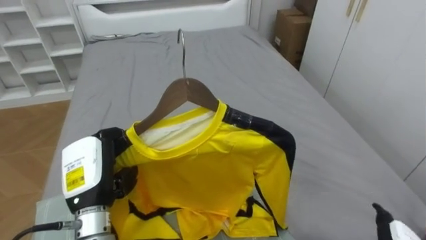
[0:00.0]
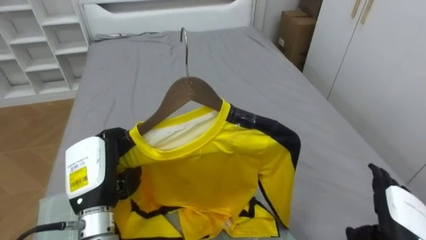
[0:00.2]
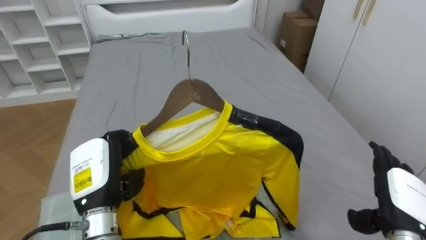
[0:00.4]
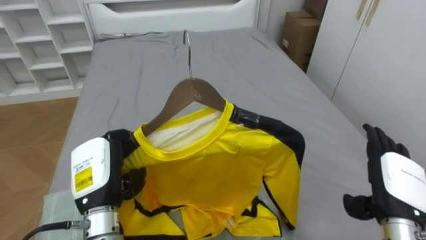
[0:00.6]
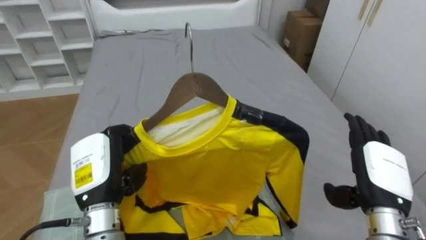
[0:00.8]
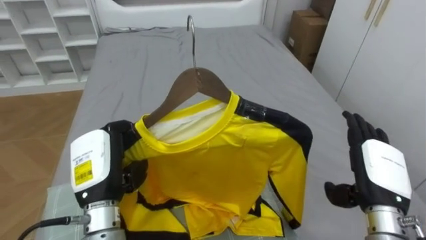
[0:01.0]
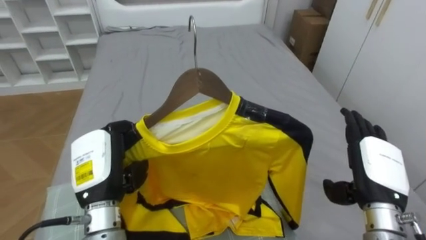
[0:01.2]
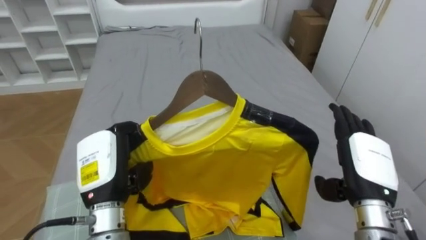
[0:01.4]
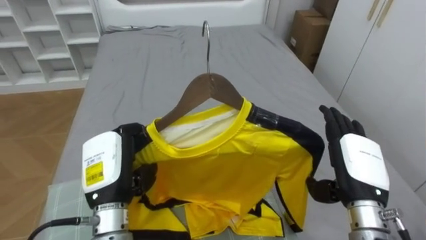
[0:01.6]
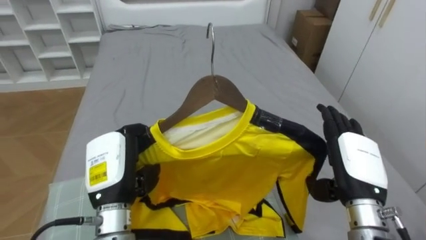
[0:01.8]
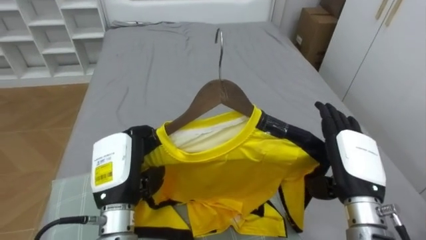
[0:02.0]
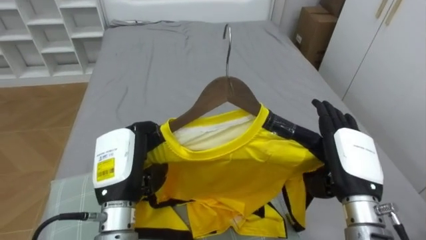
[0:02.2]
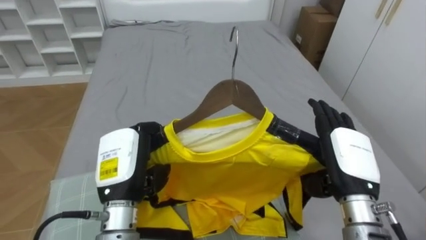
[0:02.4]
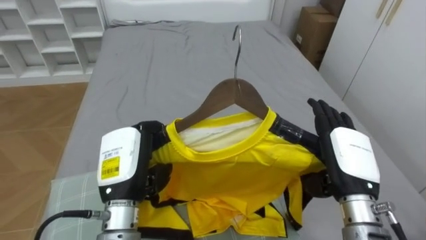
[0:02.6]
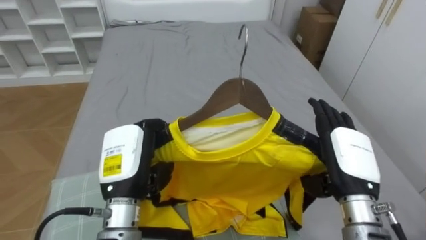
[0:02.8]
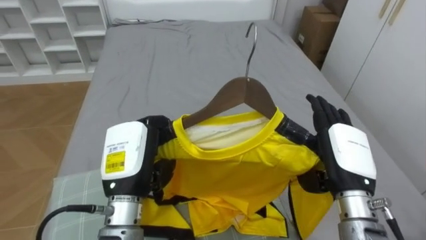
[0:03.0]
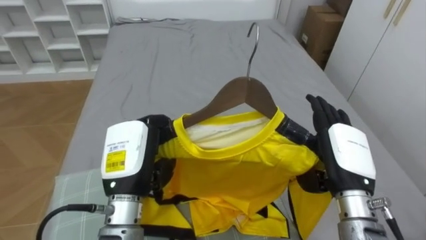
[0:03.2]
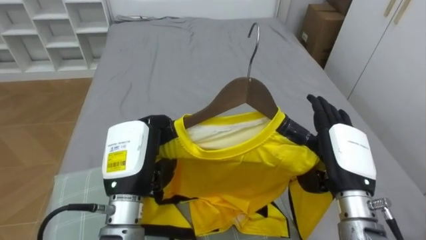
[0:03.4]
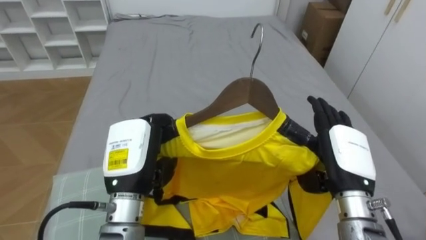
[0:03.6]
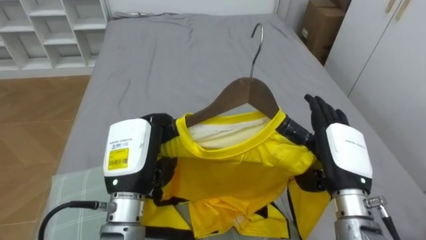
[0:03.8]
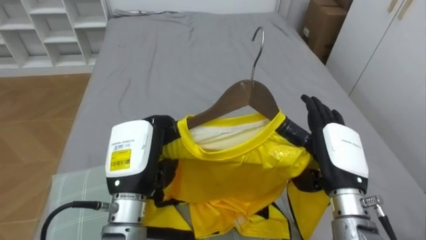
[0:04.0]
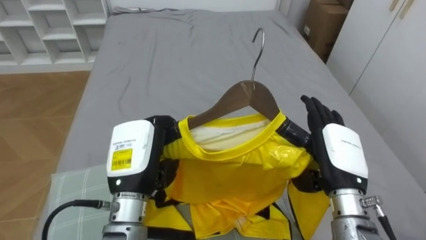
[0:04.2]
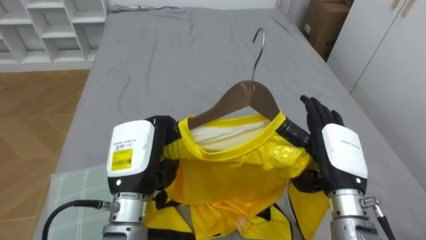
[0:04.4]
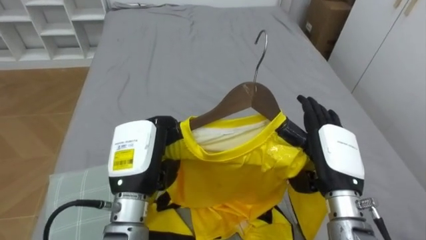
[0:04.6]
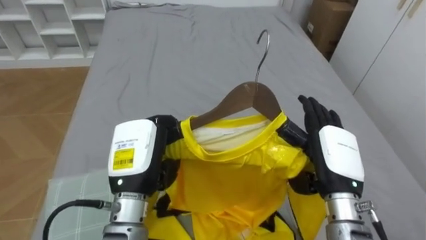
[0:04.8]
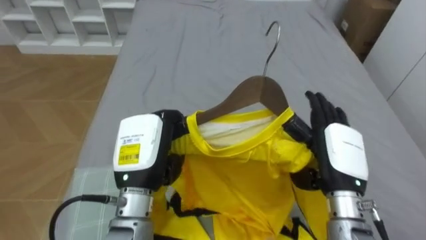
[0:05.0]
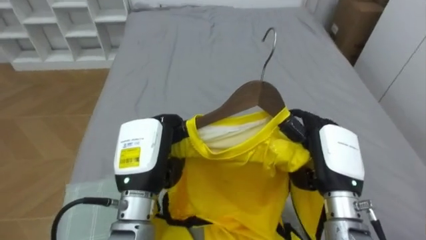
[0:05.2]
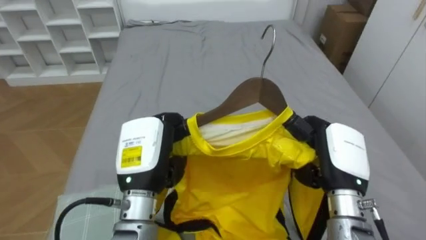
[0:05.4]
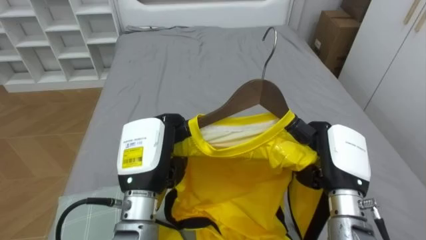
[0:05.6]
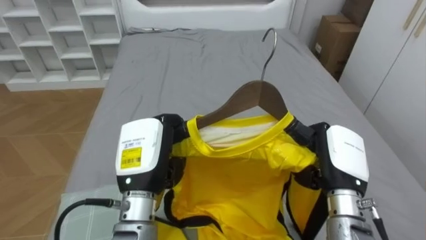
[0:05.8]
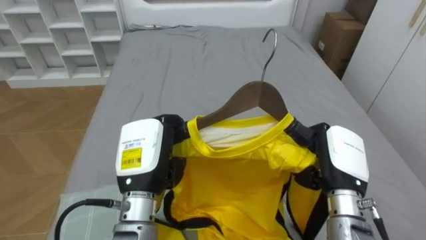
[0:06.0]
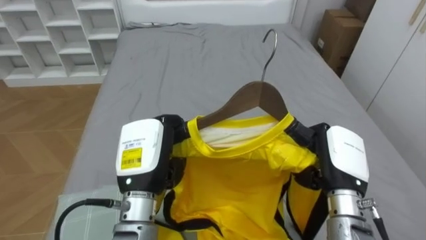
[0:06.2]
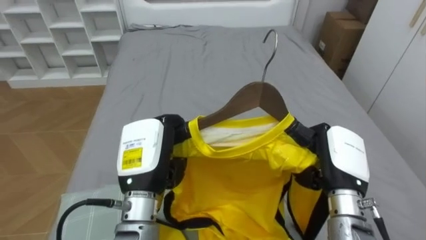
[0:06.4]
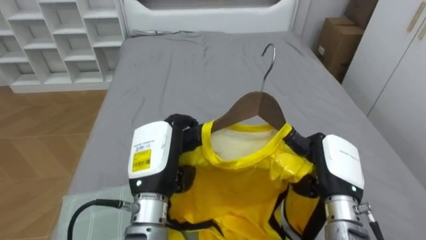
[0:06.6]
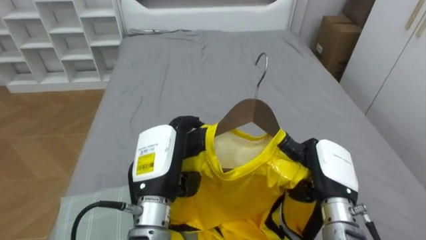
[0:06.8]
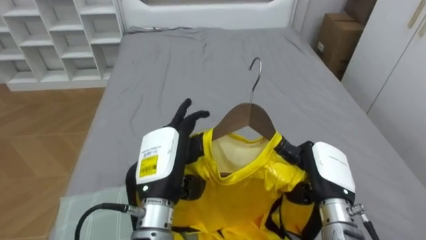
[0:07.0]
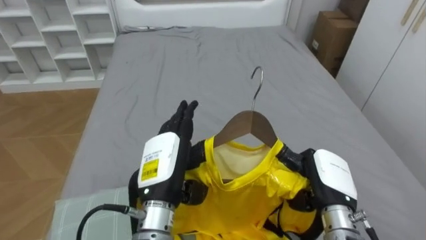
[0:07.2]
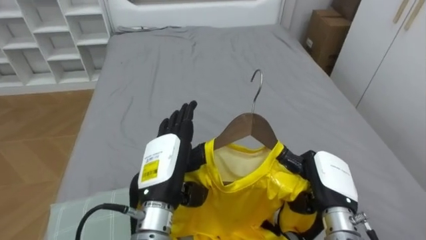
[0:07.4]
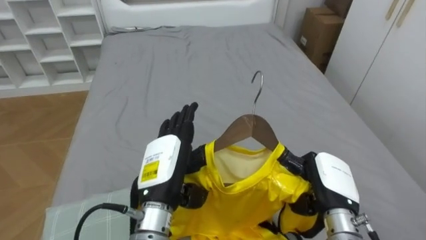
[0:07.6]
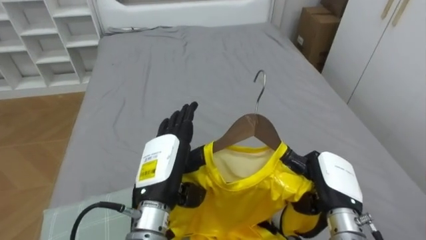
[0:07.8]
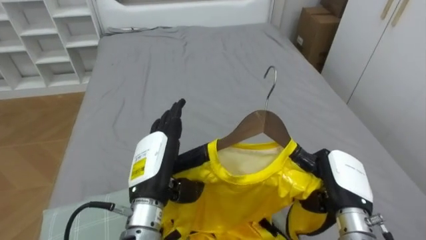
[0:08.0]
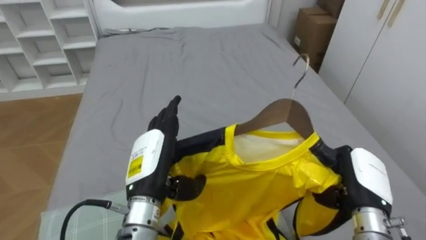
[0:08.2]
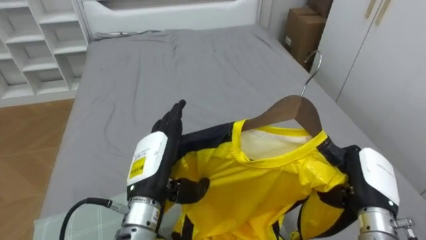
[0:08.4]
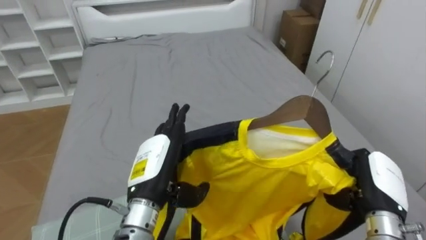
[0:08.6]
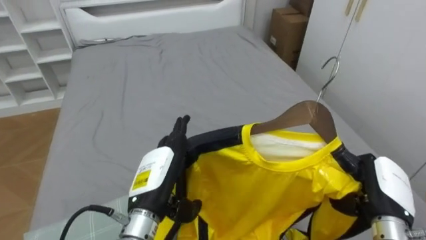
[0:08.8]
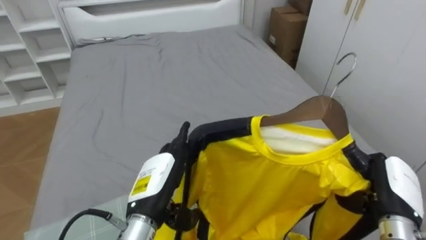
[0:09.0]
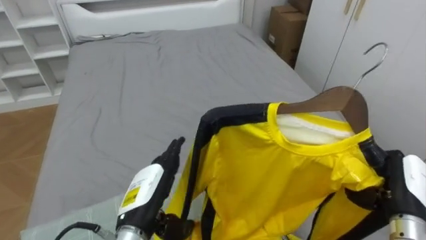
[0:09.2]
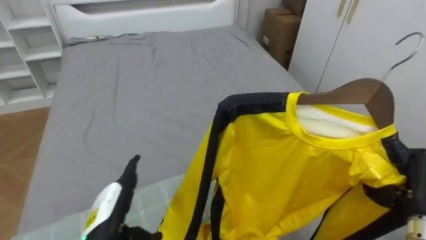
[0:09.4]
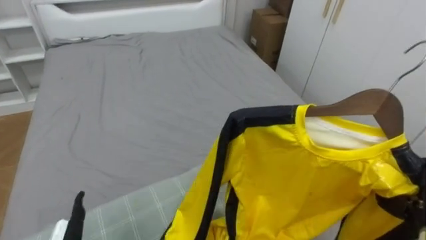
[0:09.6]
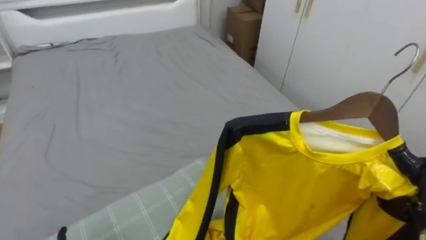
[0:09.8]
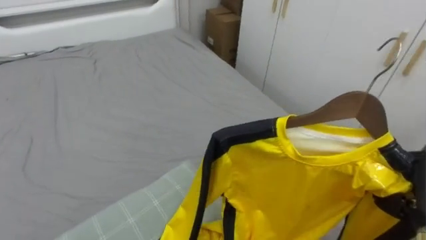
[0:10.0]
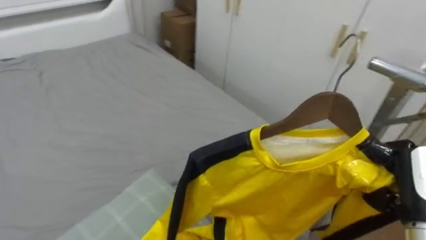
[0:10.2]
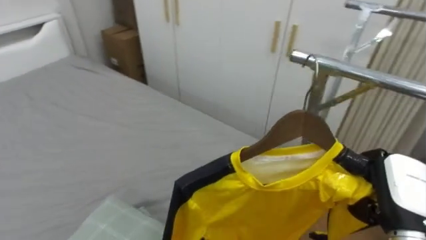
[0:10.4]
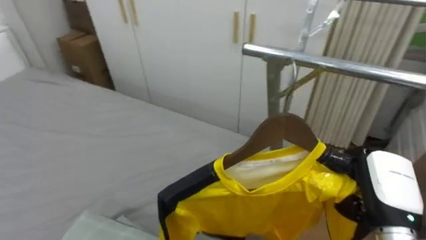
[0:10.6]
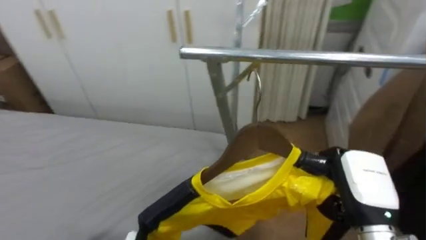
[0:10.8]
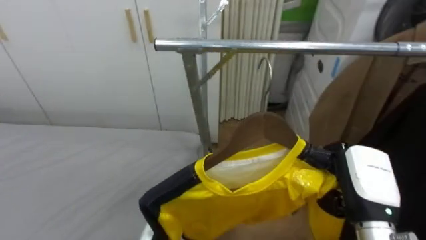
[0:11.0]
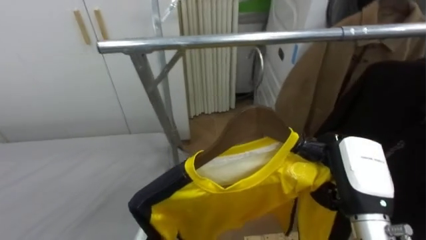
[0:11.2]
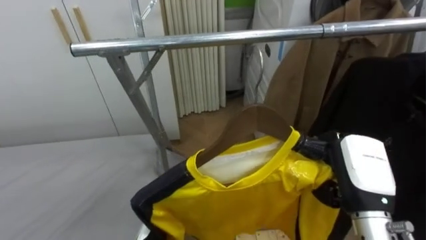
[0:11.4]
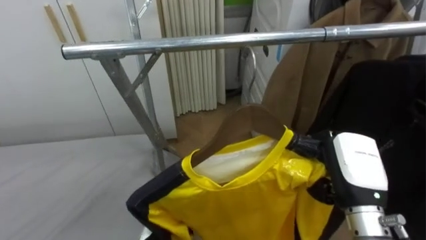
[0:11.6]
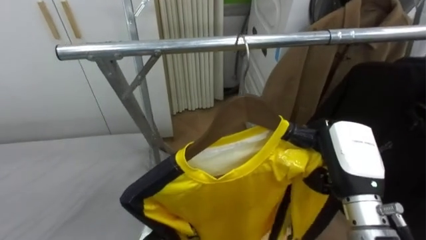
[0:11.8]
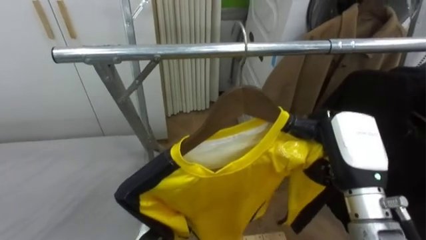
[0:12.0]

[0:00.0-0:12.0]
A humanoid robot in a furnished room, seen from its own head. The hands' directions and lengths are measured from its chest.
Task of the whole recording: Pick up the yellow shirt on the bed and hang it on the clothes rack on the right.
0:04.4 to 0:06.0: The right hand closes.
0:06.0 to 0:07.6: The left hand opens its fingers, while the right hand is displaced downward by about 5 cm.
0:07.6 to 0:09.0: The right hand heads to the right, covering some 10 cm.
0:09.0 to 0:10.4: The robot turns to its right by approximately 40 degrees. The right hand changes place by about 5 cm.
0:10.4 to 0:12.0: The robot turns to its right by roughly 45 degrees. The right hand moves to the left and upward, roughly 10 cm.

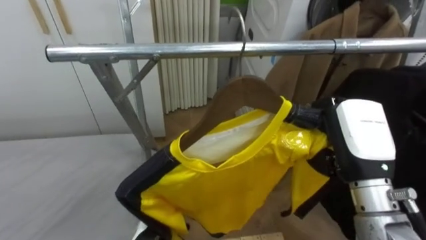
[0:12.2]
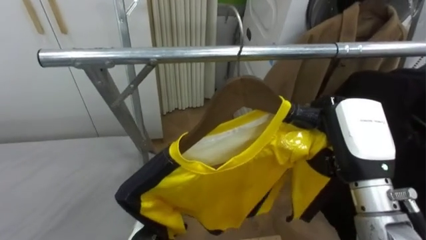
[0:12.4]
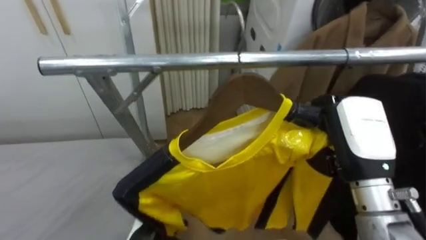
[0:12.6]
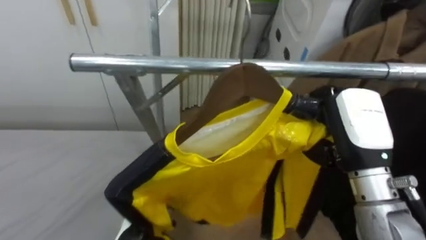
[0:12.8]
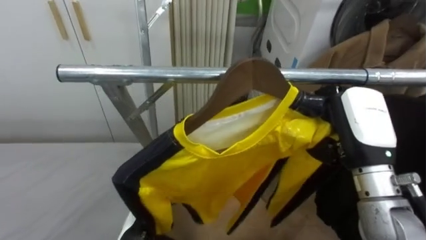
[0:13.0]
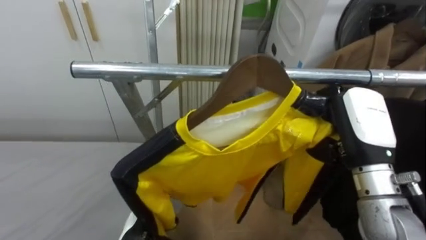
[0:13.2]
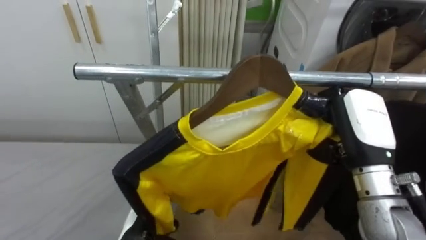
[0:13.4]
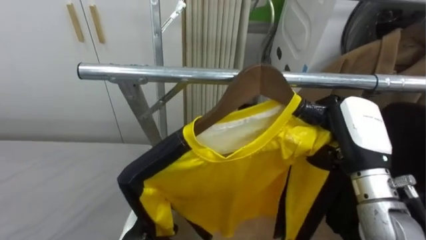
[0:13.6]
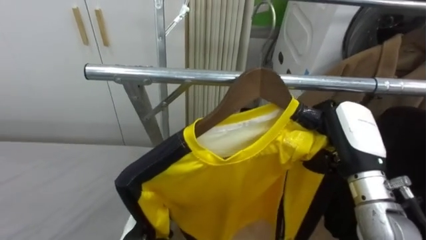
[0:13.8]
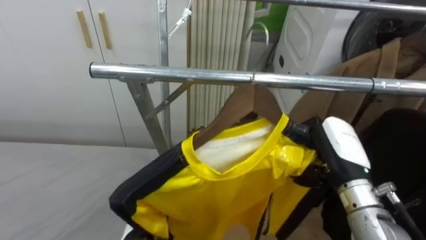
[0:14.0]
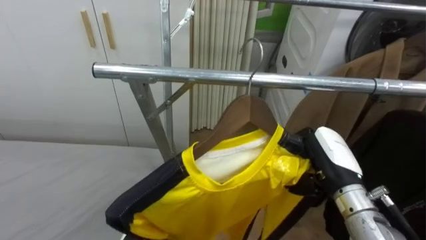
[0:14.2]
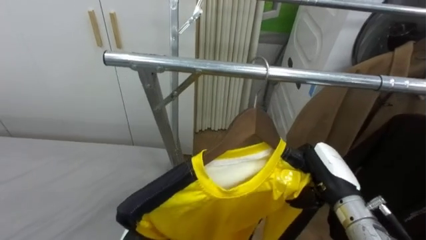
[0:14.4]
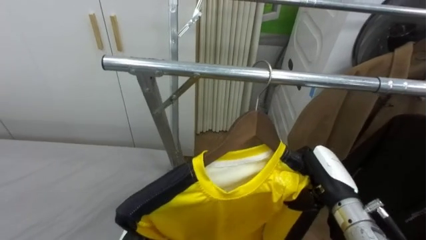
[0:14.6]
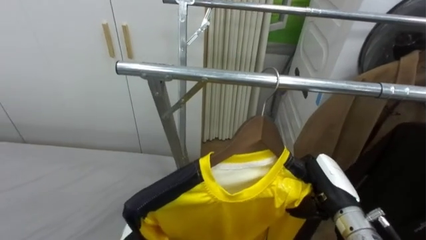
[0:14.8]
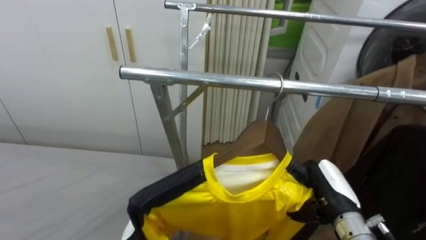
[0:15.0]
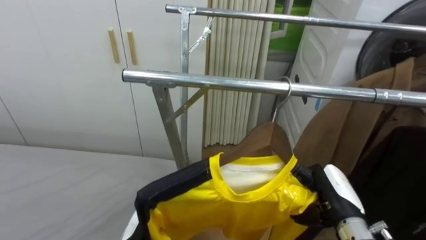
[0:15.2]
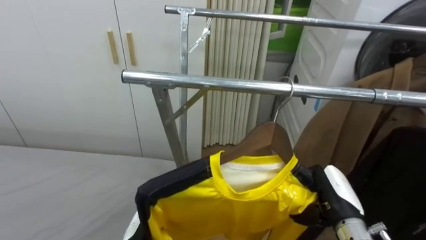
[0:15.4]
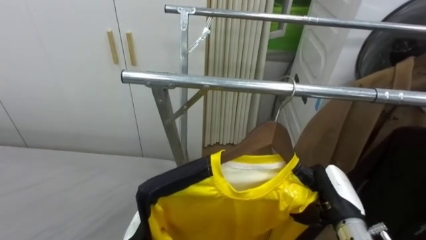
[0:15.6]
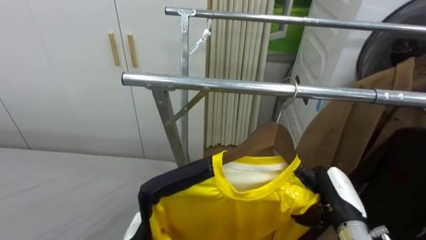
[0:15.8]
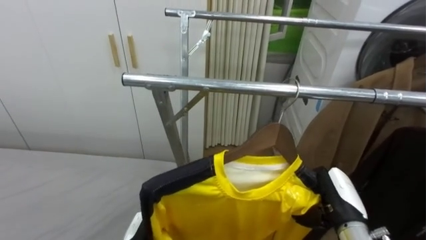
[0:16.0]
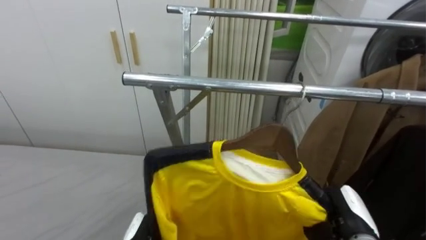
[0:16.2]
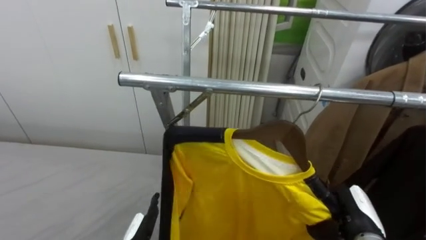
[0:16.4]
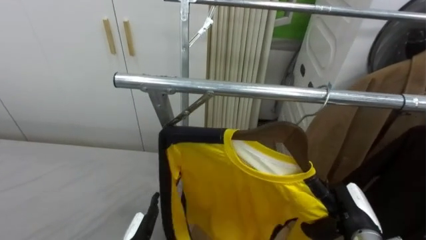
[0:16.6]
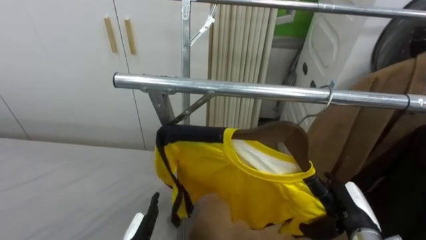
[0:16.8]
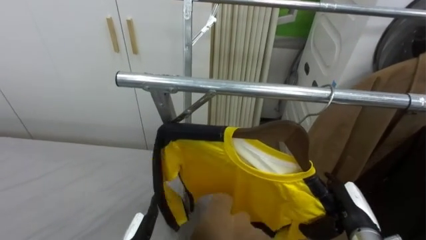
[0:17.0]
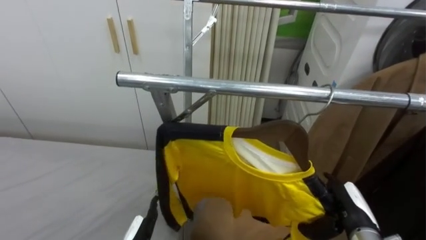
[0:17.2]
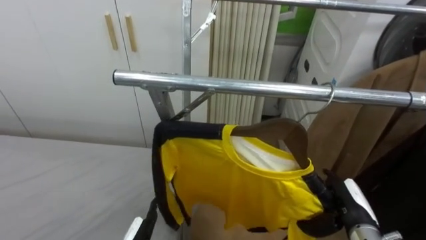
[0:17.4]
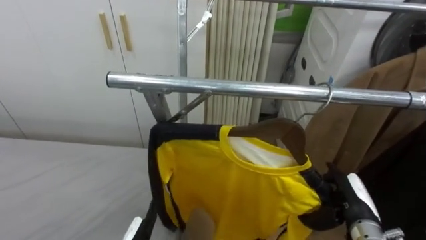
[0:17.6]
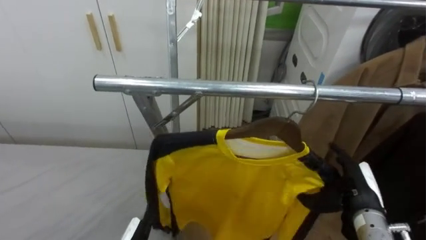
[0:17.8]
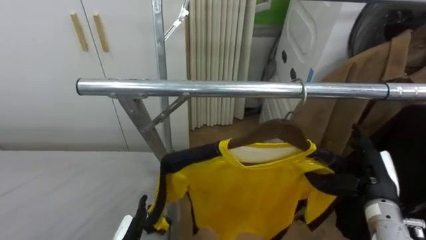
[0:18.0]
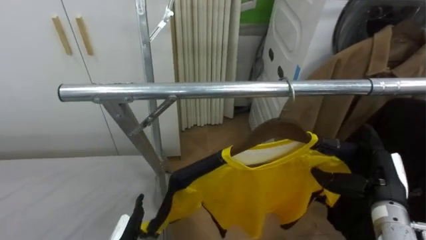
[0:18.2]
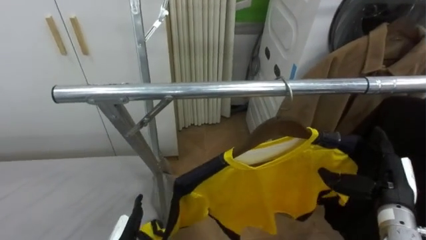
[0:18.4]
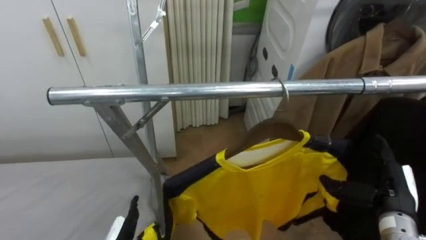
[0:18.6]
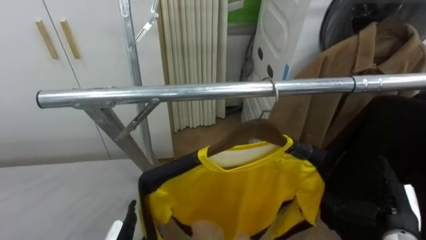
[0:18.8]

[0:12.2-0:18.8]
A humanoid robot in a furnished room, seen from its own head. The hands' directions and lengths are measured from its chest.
Task of the whole recording: Pick up the yellow shirt on the bed and hang it on the clothes rack on the right.
0:13.8 to 0:15.4: The right hand moves downward, approximately 15 cm.
0:15.4 to 0:17.2: The right hand opens.
0:17.2 to 0:18.8: The right hand heads to the right, covering some 5 cm.
